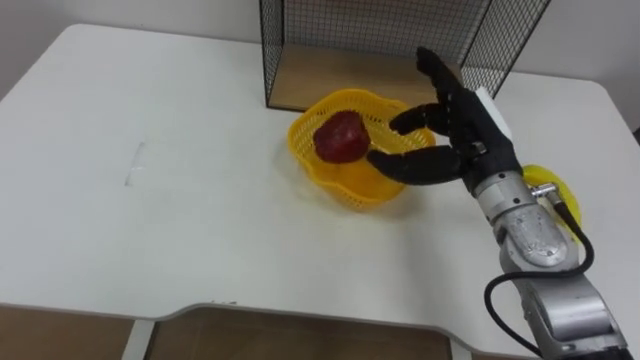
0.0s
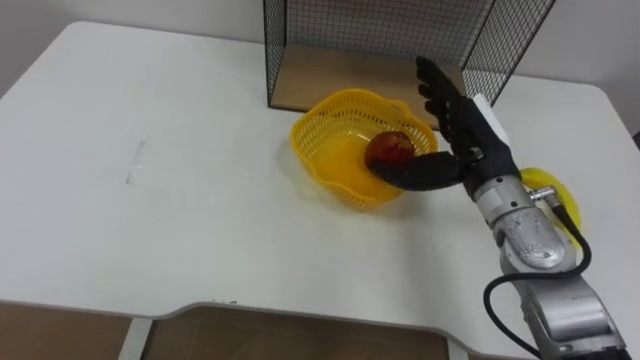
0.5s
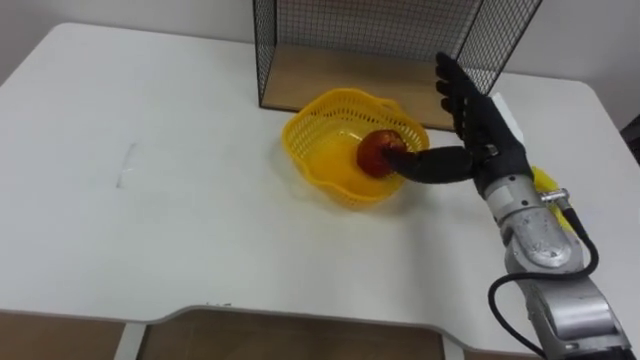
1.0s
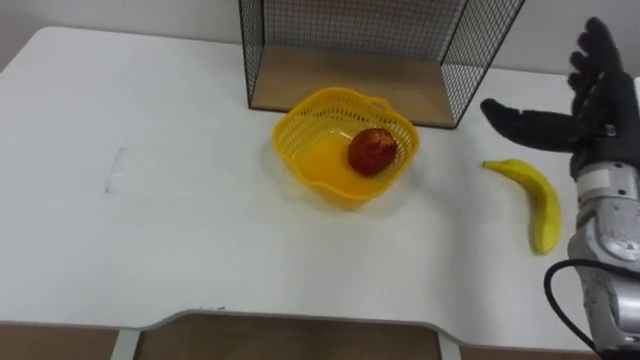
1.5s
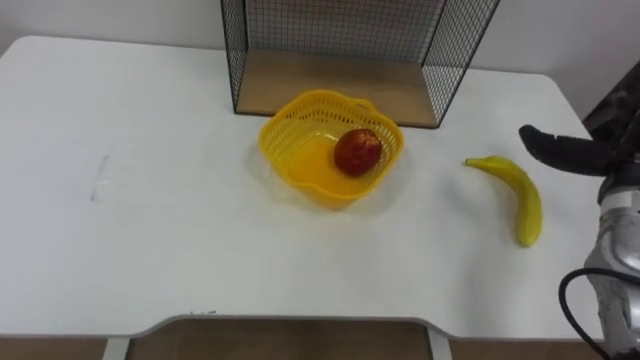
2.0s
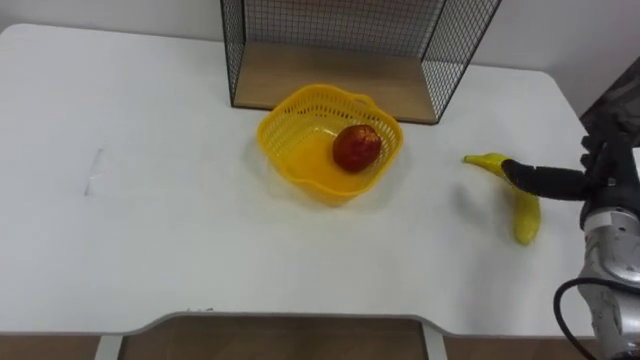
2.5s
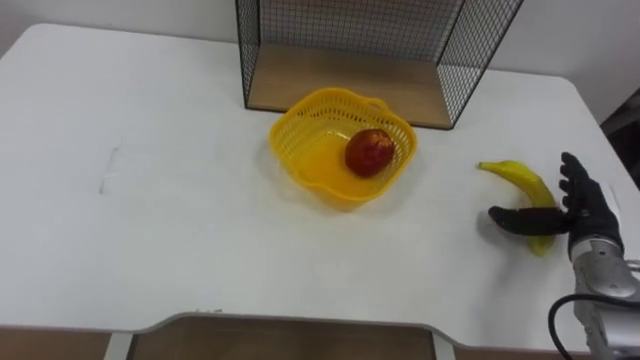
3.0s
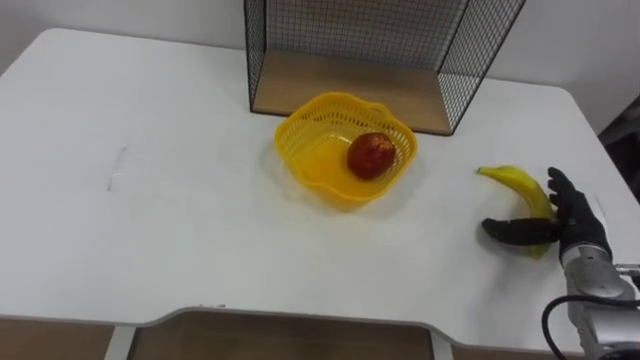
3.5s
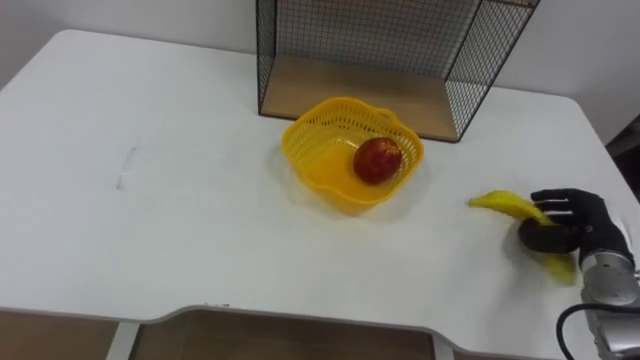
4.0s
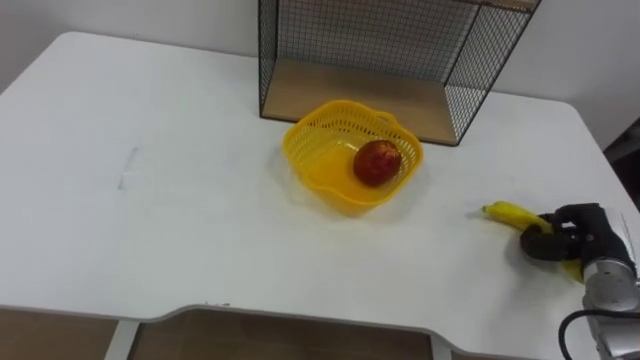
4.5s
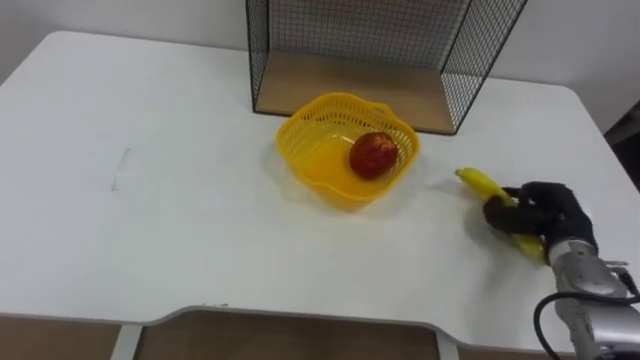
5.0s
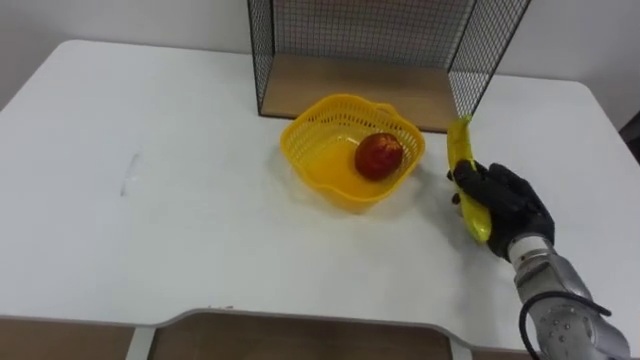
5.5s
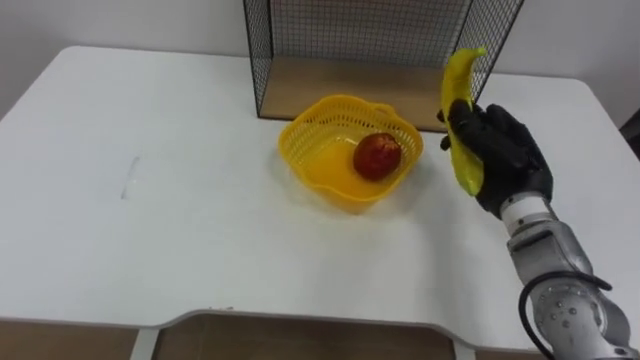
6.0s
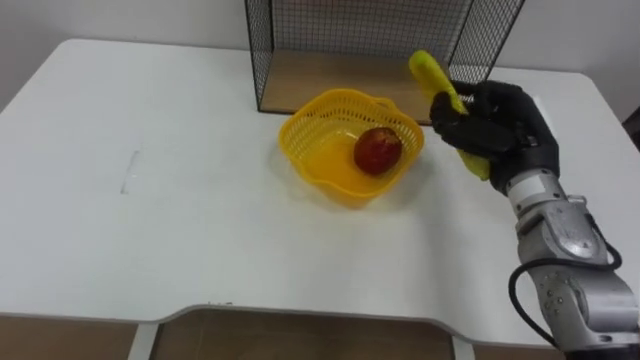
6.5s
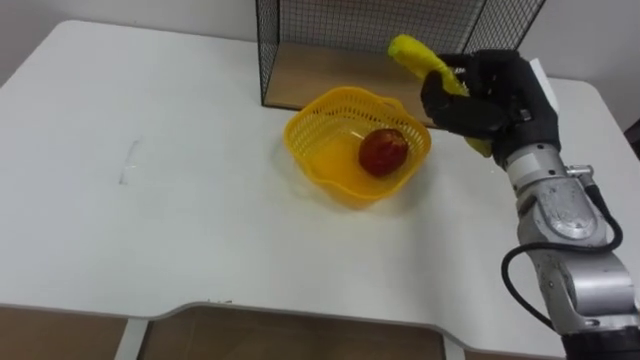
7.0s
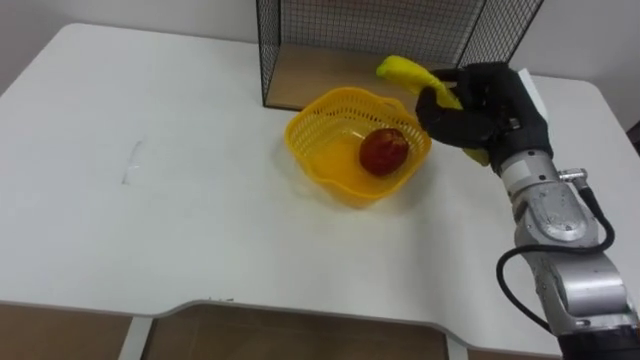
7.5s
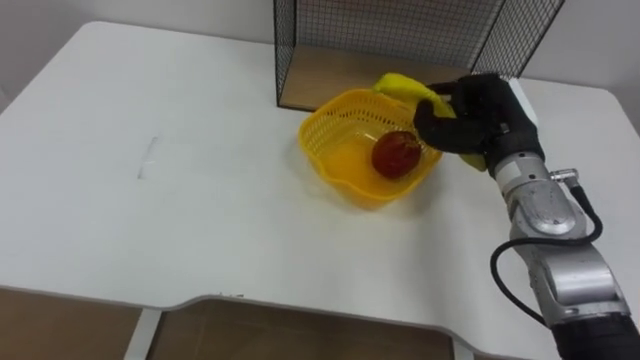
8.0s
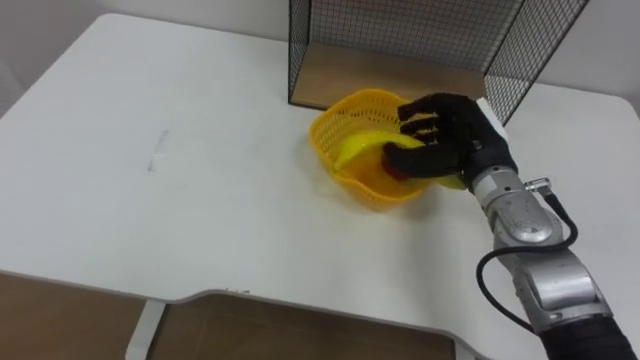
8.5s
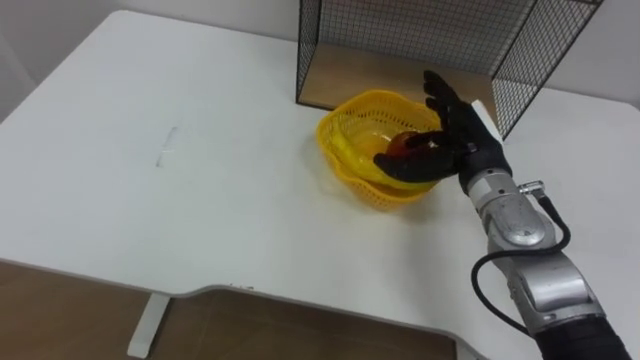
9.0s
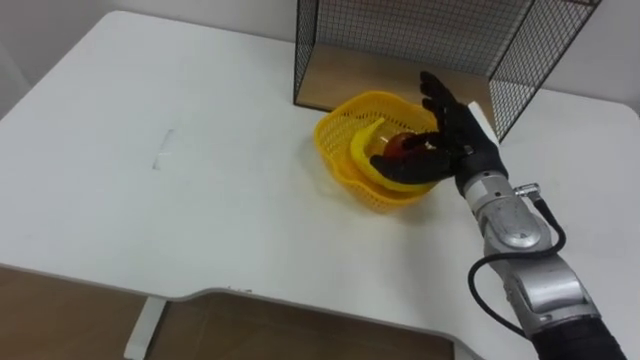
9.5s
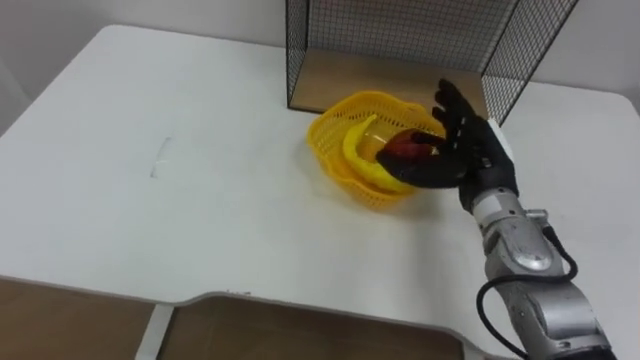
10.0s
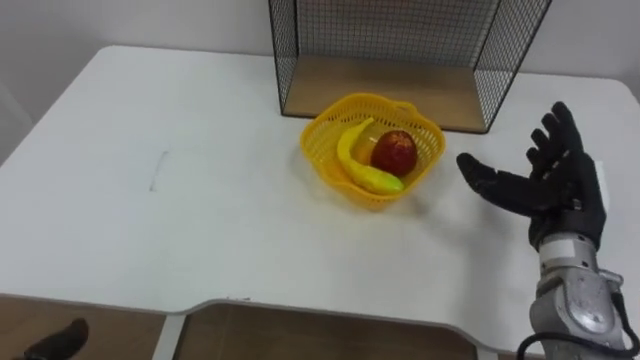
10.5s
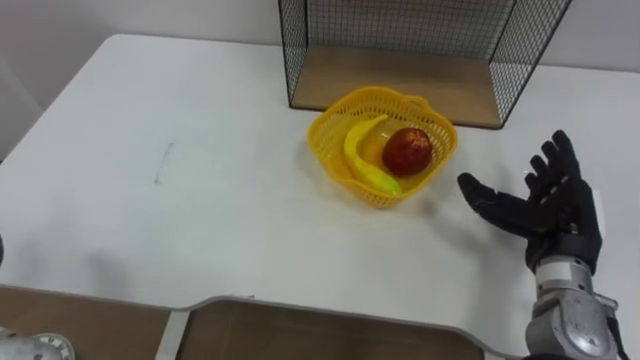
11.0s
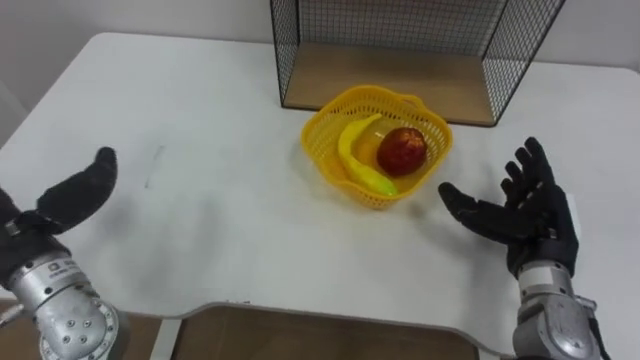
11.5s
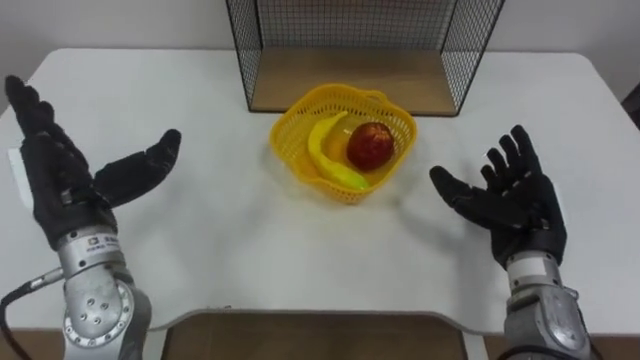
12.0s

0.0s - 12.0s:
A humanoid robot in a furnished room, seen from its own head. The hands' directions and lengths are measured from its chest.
Task of the whole recording: Put the fruit on the table into the basket, then place the basket on the shelf.
4.0s - 6.0s: The right hand is displaced to the left and upward by roughly 15 cm, and closes up.
6.0s - 8.0s: The right hand changes place by approximately 5 cm.
8.0s - 10.0s: The right hand opens.
10.0s - 12.0s: The right hand travels backward and to the right by some 10 cm.

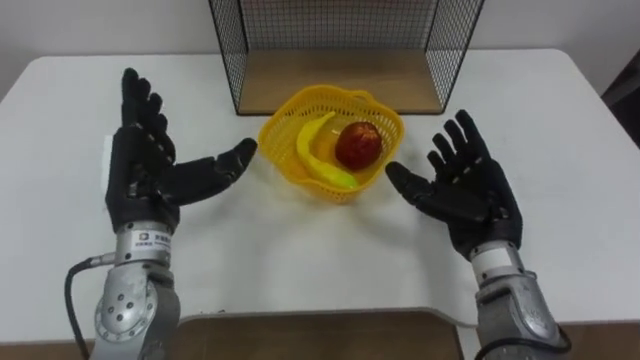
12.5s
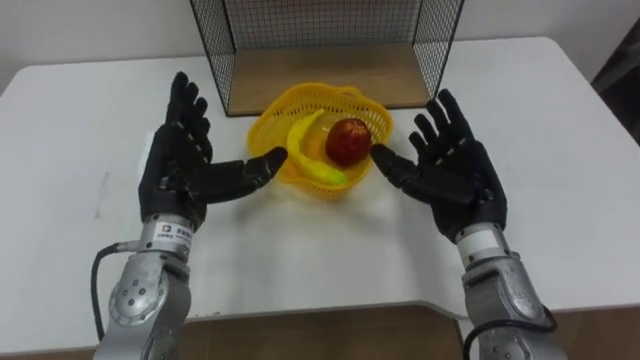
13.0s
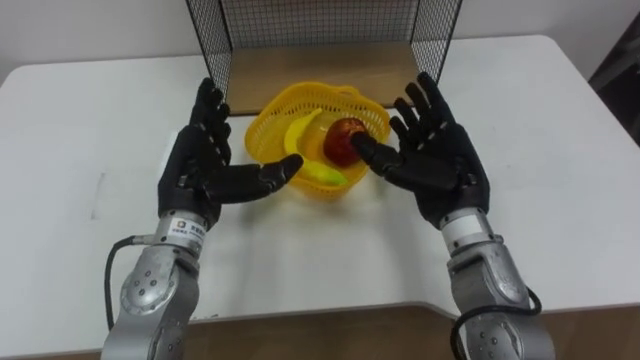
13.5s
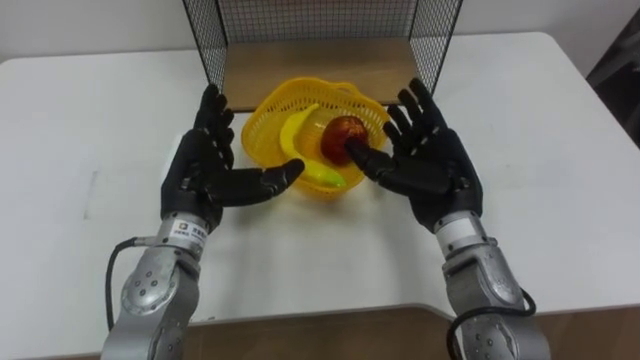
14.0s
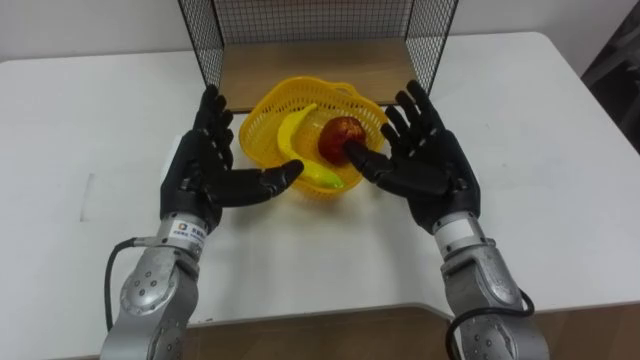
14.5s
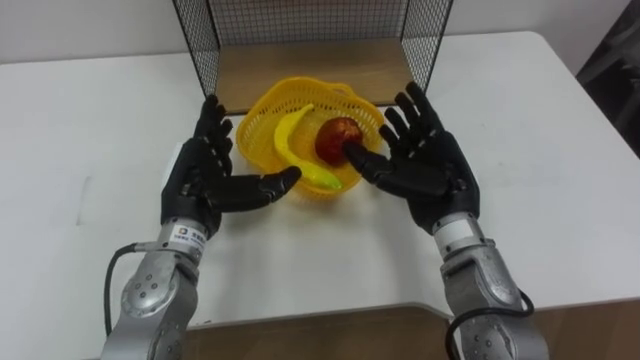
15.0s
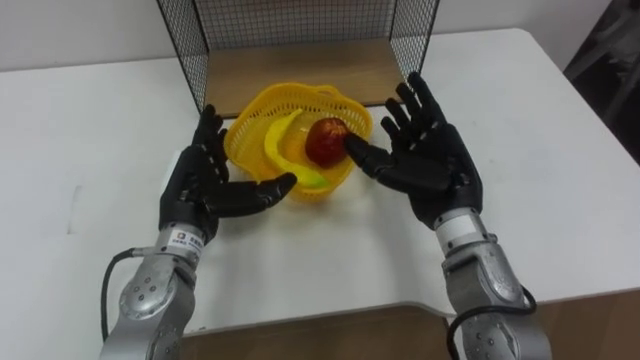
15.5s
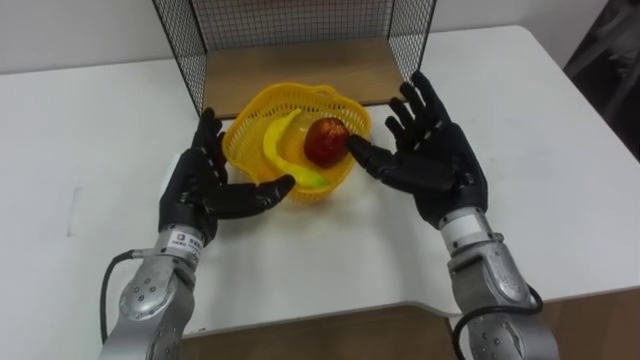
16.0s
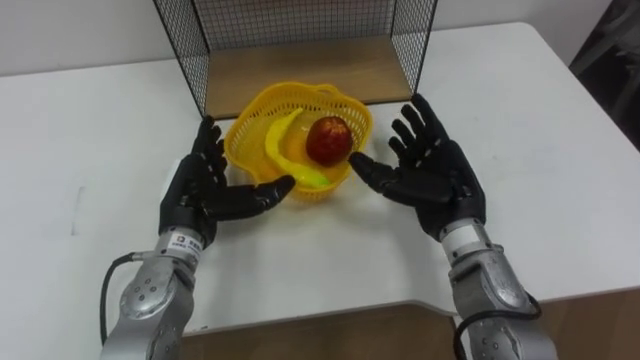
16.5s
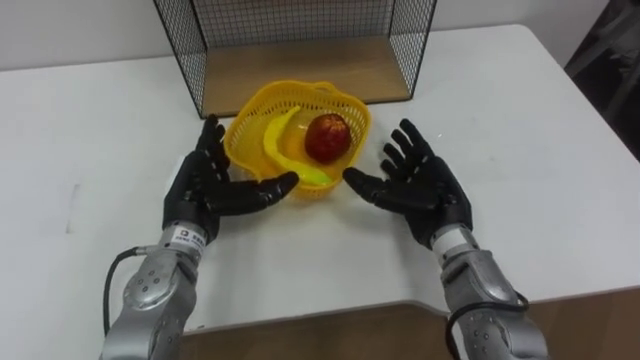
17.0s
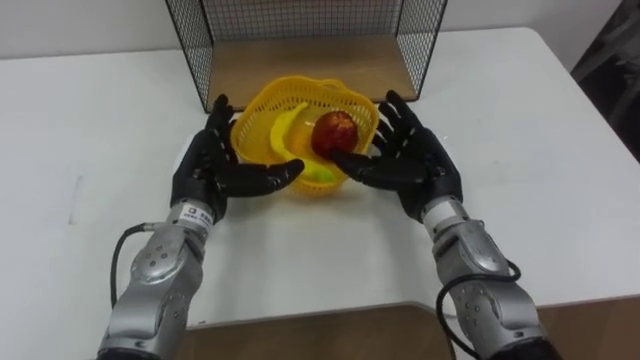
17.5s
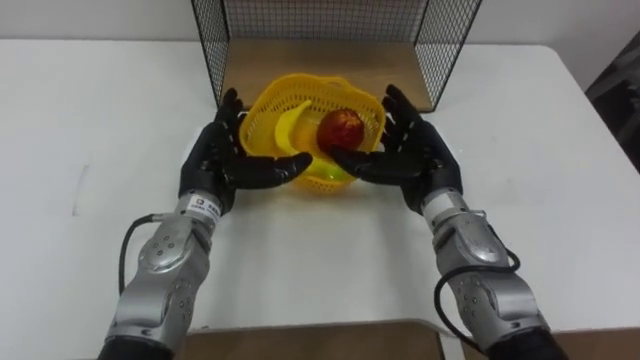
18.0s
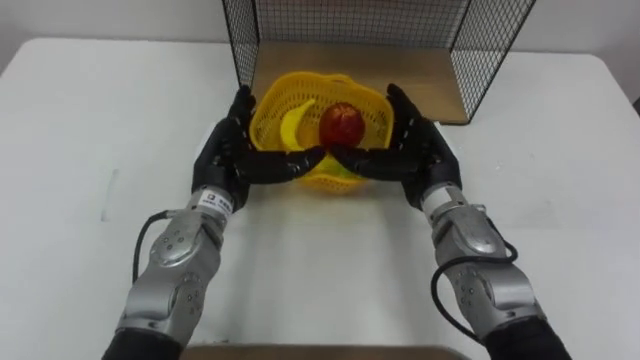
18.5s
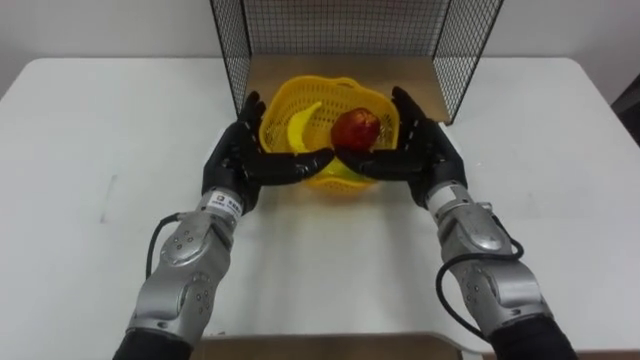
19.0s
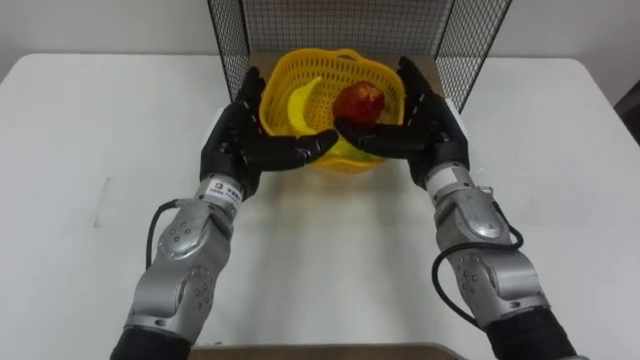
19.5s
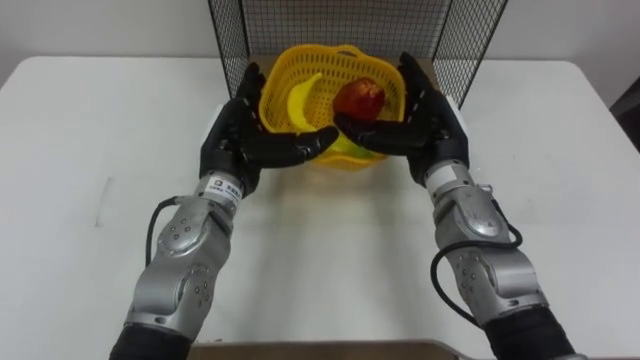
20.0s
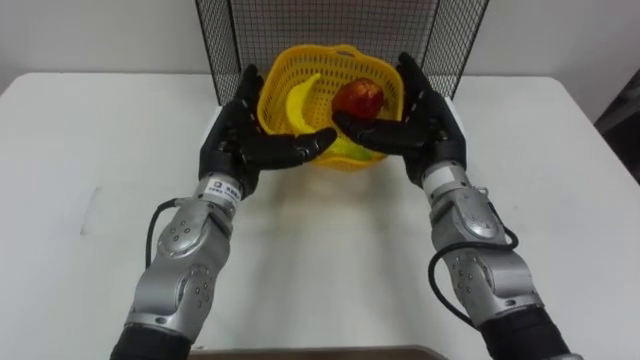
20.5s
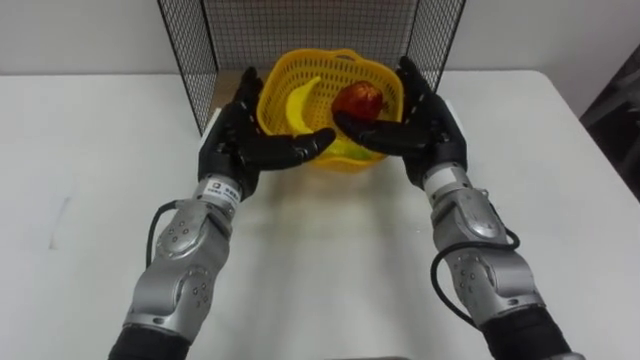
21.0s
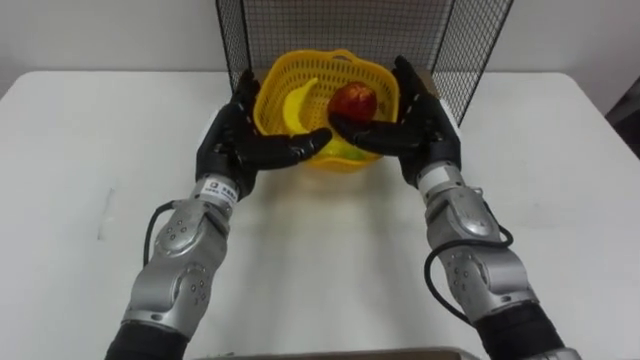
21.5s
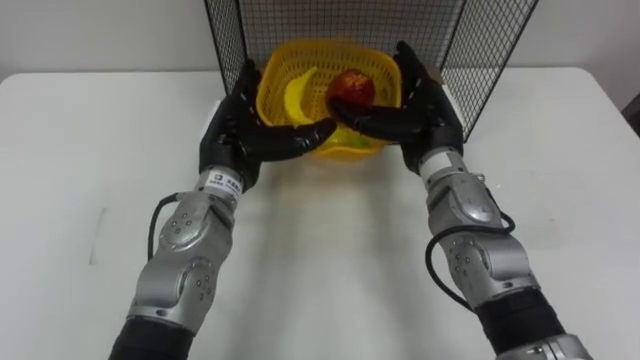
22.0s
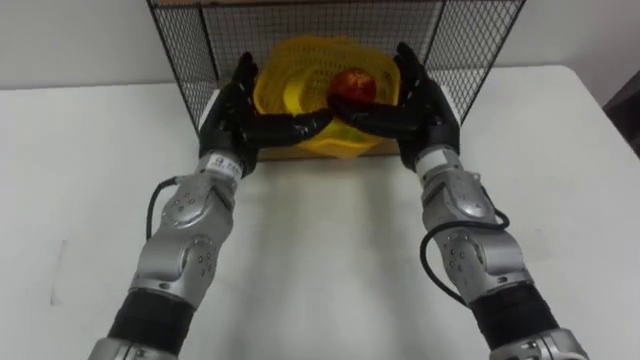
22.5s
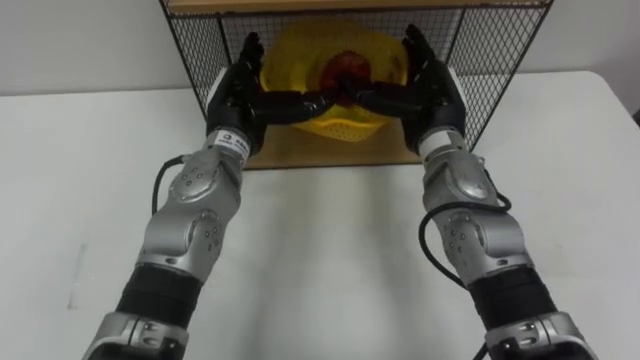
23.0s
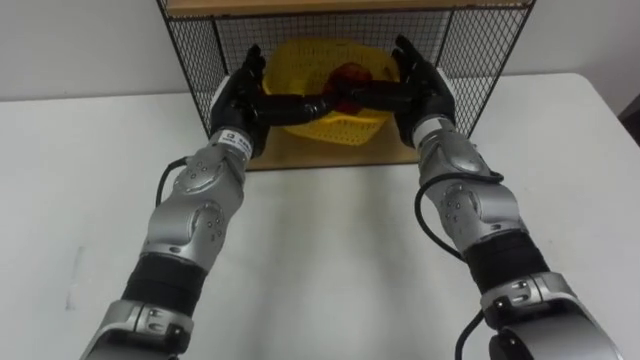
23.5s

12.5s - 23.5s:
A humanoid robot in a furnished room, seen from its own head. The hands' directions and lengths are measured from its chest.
Task of the whole recording: Put the fruit on the table into the basket, then place the basket on the shelf.
12.5s - 14.5s: The left hand changes place by roughly 5 cm, while the right hand moves to the left, approximately 5 cm.
14.5s - 16.0s: There are only small adjustments of the hands.
21.5s - 23.5s: The left hand shifts by about 5 cm, while the right hand changes place by about 5 cm.
